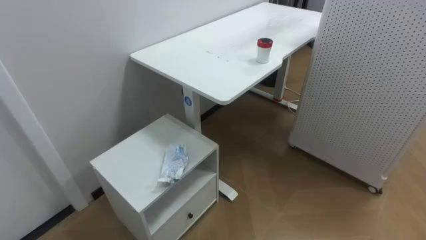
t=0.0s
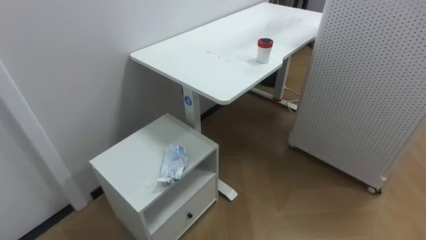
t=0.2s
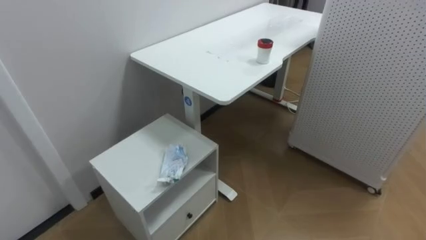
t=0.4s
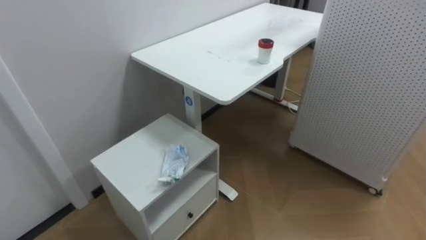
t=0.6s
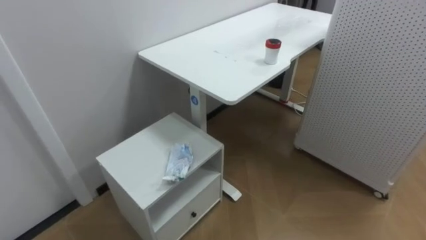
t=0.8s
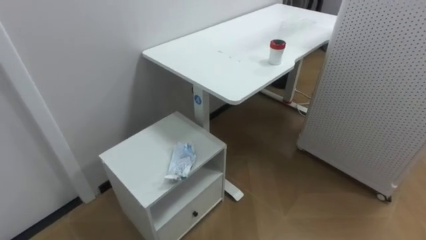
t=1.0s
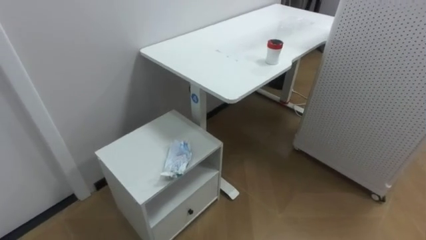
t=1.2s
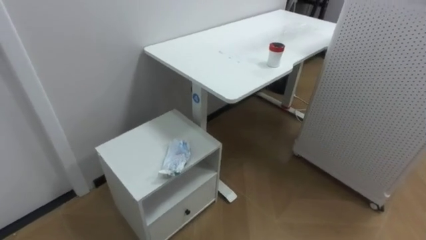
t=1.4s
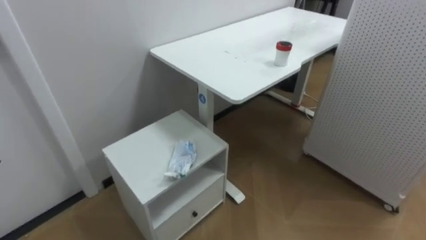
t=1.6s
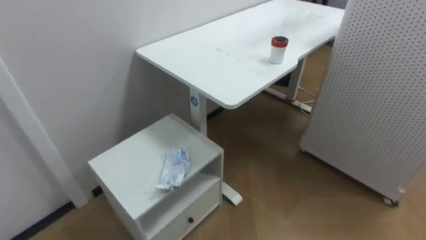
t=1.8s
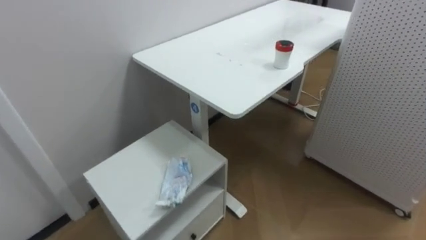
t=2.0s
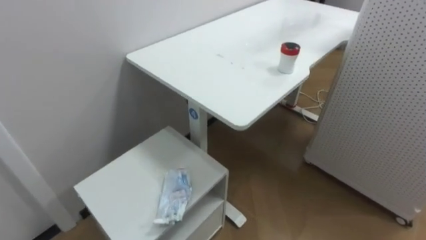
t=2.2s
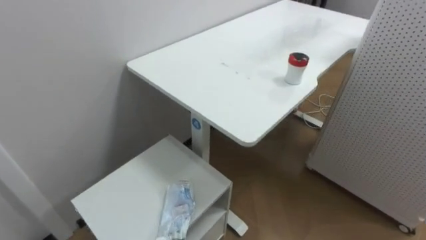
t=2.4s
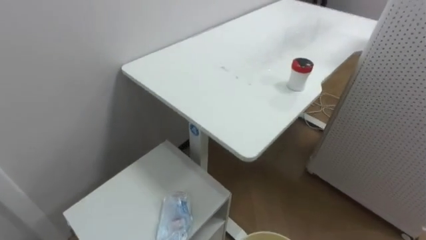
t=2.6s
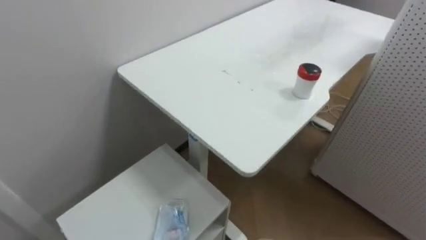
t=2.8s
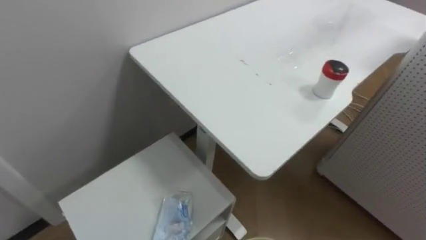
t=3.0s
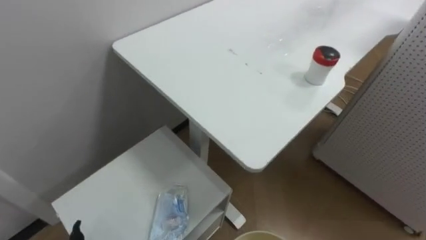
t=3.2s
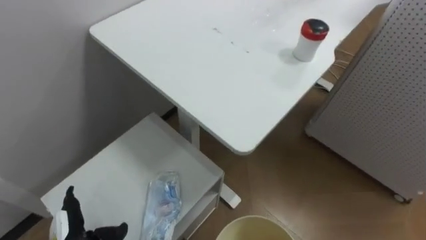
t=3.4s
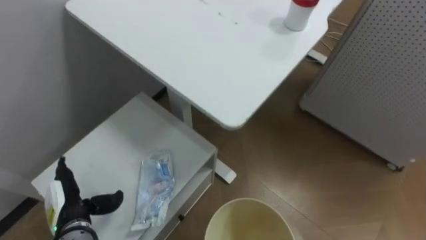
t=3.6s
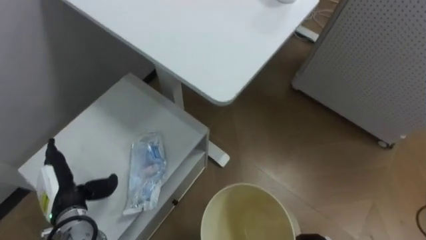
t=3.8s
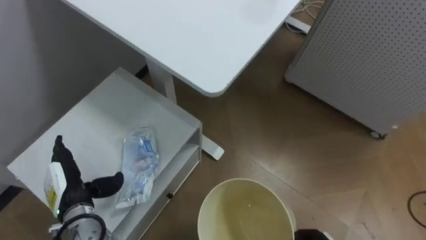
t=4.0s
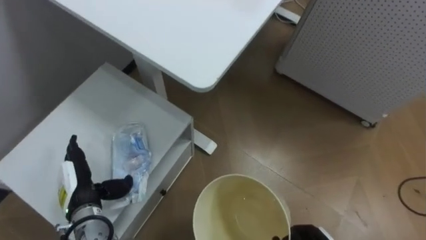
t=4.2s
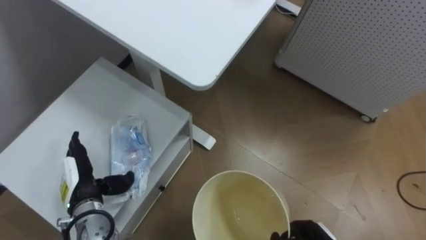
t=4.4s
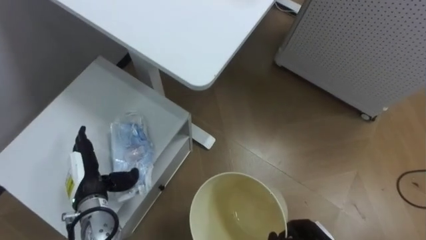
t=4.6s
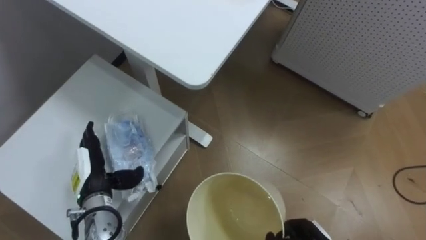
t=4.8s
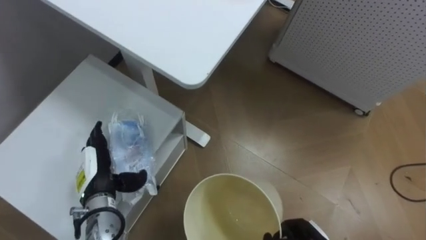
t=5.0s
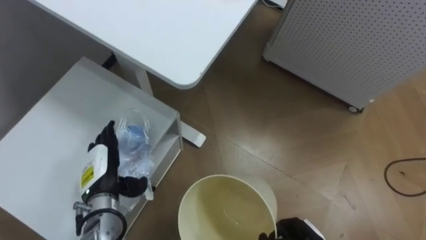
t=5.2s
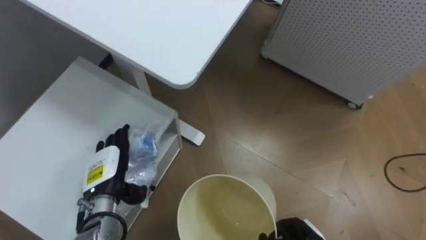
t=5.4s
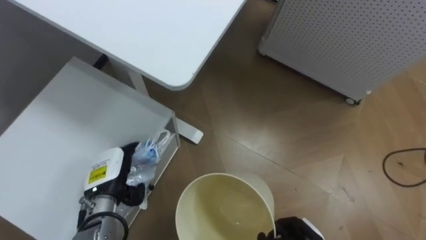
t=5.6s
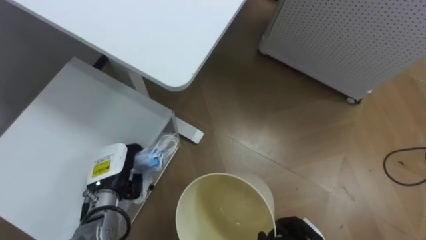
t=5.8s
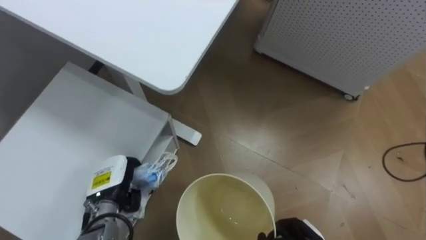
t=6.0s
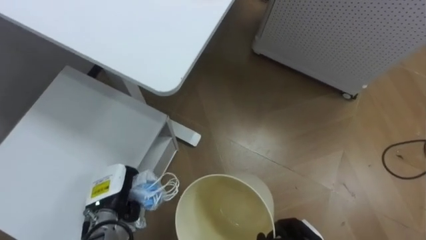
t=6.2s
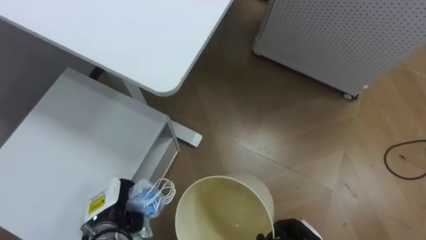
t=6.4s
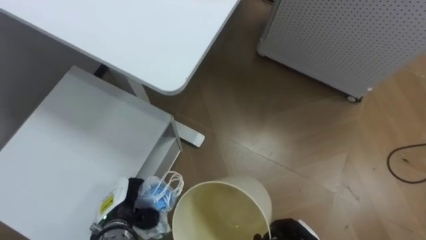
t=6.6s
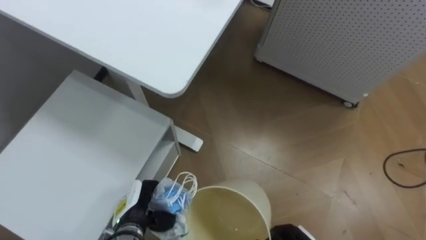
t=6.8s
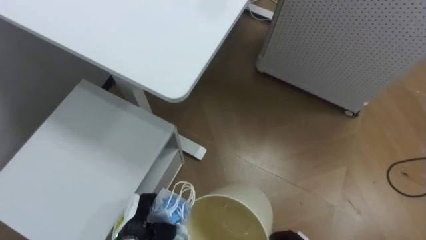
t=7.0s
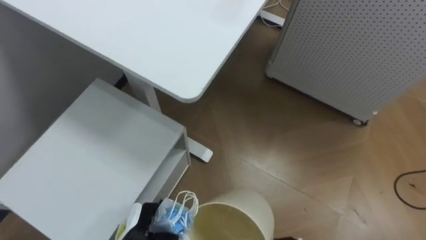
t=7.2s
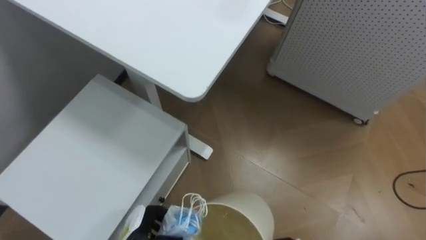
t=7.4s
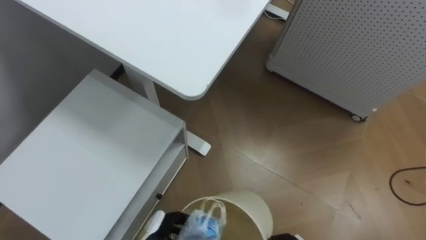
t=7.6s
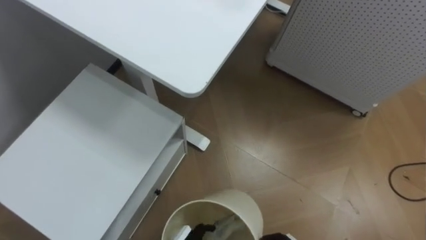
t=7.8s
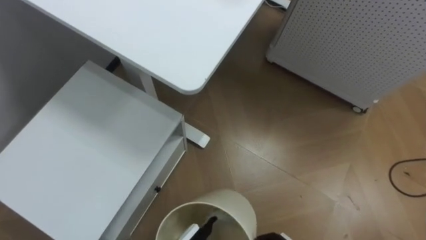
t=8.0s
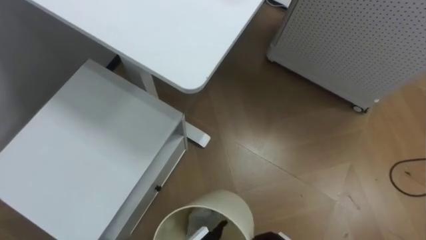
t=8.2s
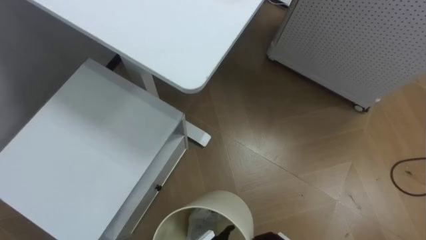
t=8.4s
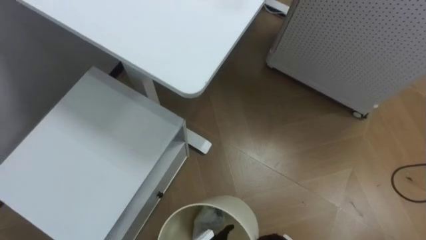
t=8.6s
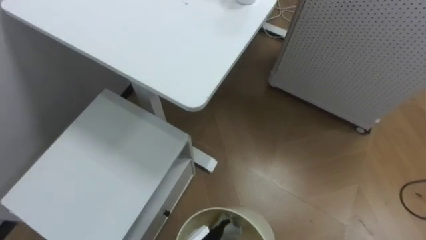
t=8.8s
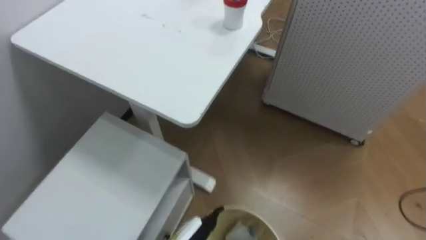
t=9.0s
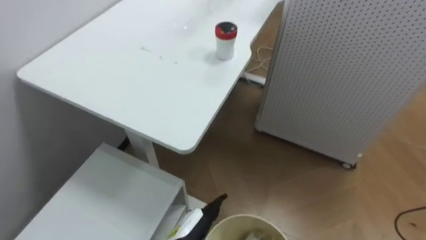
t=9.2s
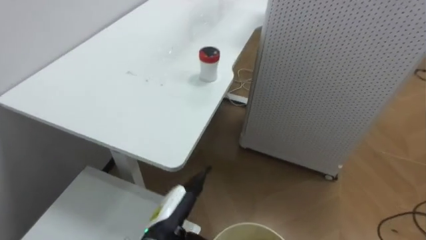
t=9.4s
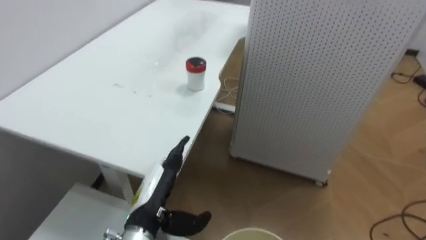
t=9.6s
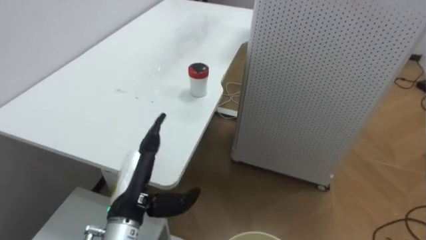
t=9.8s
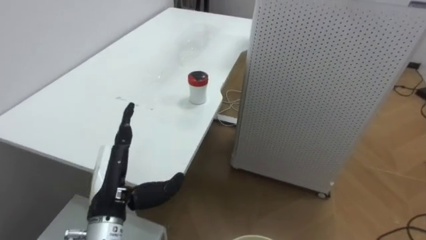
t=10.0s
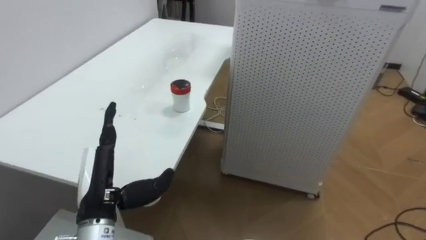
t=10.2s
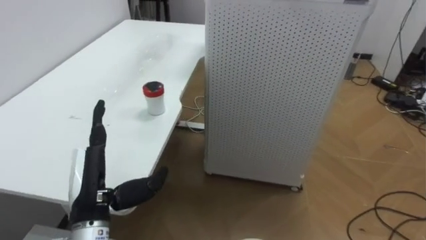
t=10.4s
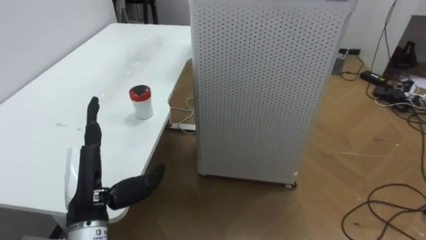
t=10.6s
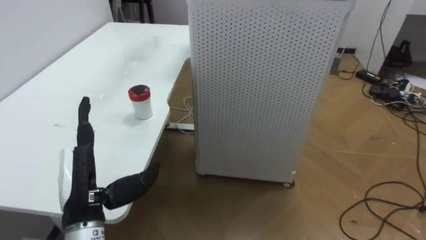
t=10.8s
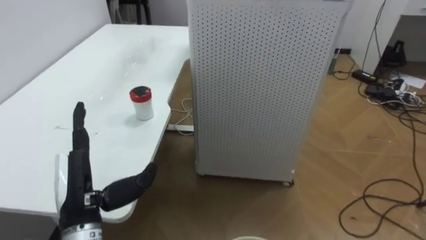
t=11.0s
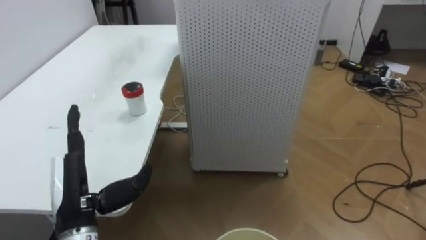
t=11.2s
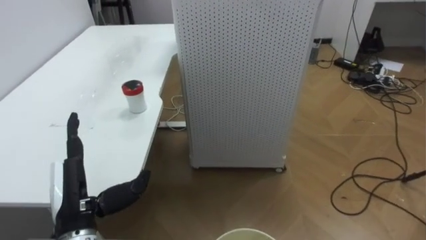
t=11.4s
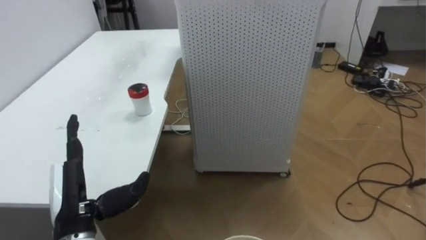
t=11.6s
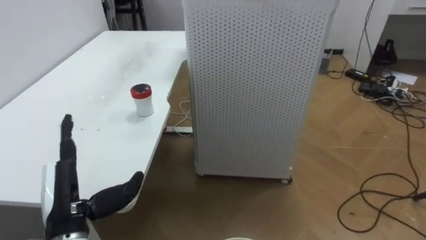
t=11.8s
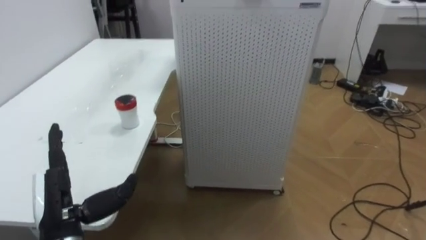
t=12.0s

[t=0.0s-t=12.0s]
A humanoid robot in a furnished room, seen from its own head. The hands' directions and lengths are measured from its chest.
Task of the whole recording: Pick up the light blue package, the candy box, and the dark blue package separately, and put them into the trash can held in your right hand.
t=4.4s to t=6.0s: The left hand shifts by approximately 5 cm, and closes up.
t=6.0s to t=7.6s: The left hand shifts about 15 cm downward, to the right and backward.
t=9.0s to t=10.4s: The robot turns to its right by some 20 degrees. The left hand is displaced upward and to the left by roughly 25 cm.
t=10.4s to t=12.0s: The left hand moves approximately 5 cm.

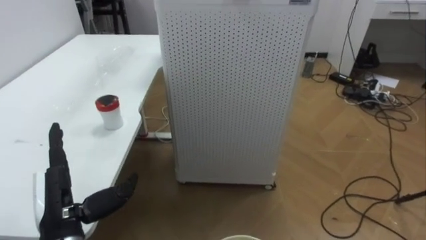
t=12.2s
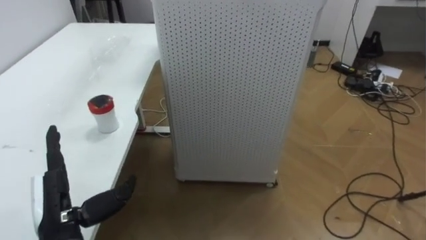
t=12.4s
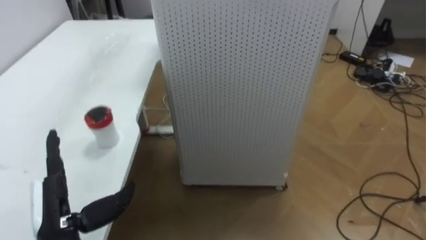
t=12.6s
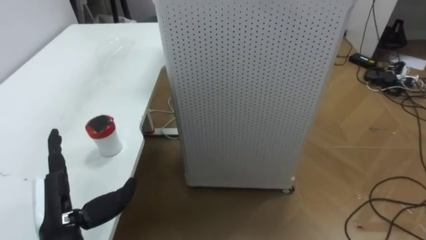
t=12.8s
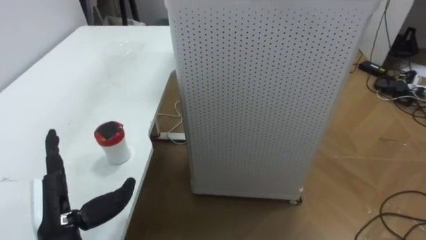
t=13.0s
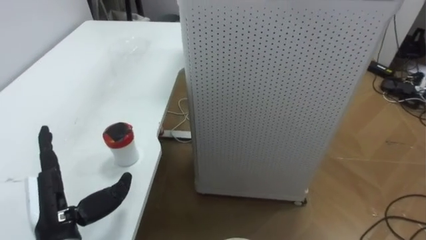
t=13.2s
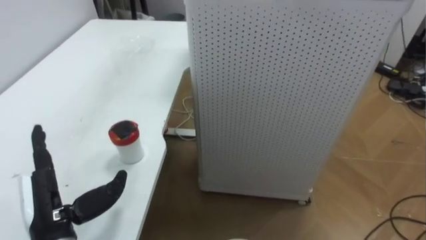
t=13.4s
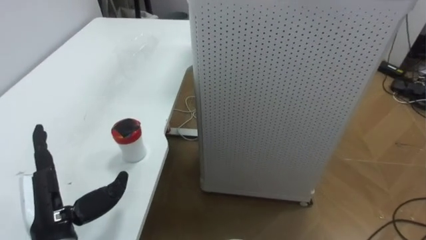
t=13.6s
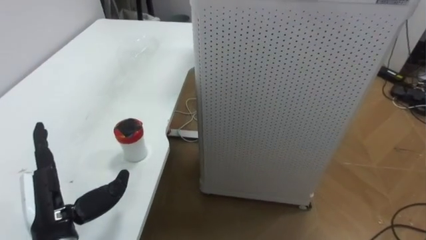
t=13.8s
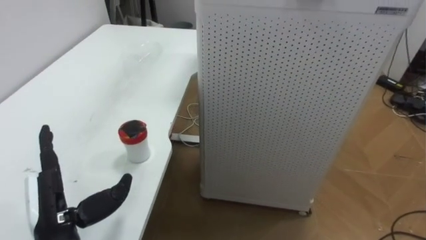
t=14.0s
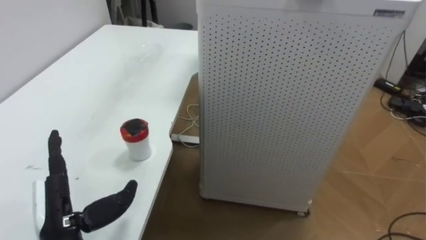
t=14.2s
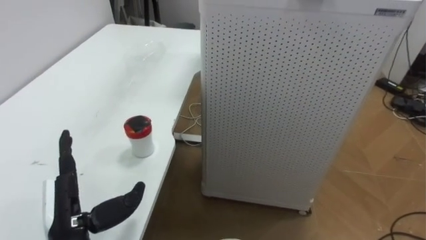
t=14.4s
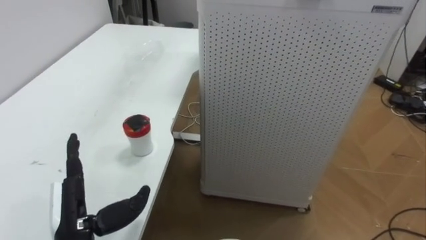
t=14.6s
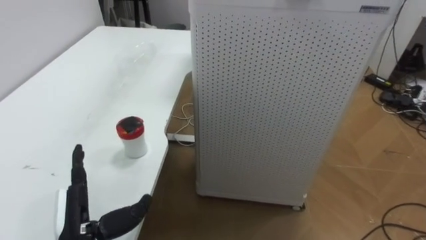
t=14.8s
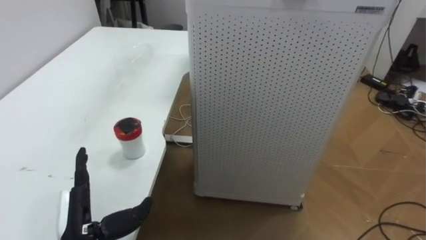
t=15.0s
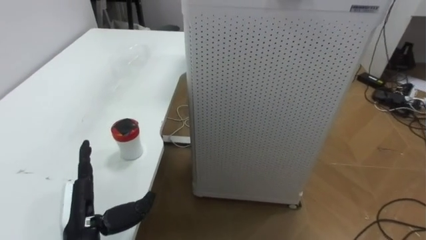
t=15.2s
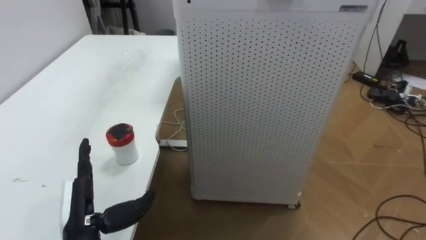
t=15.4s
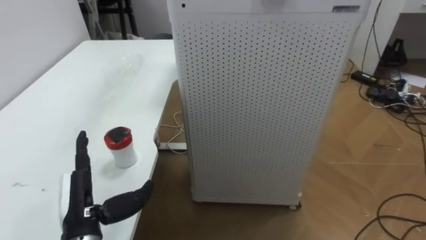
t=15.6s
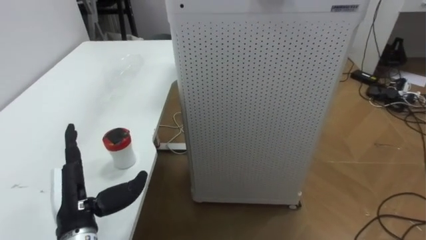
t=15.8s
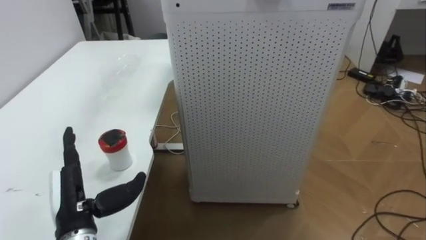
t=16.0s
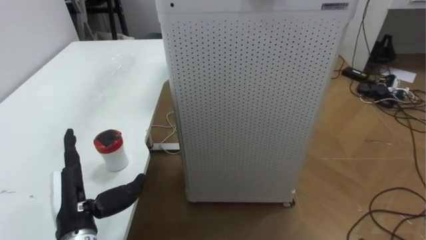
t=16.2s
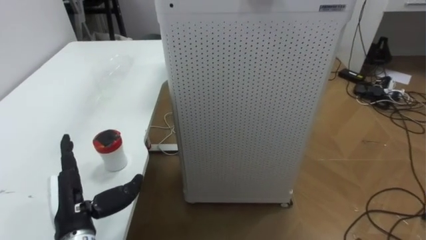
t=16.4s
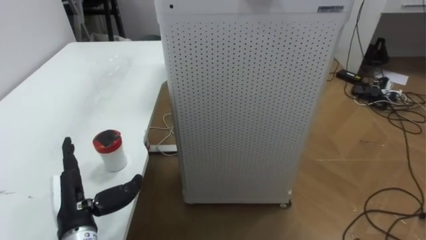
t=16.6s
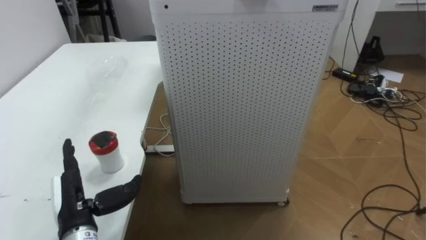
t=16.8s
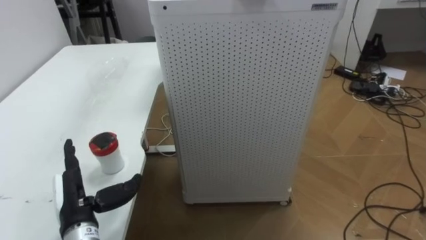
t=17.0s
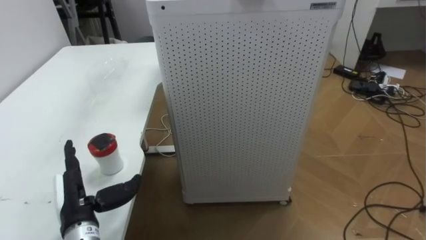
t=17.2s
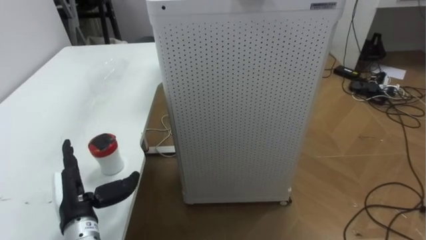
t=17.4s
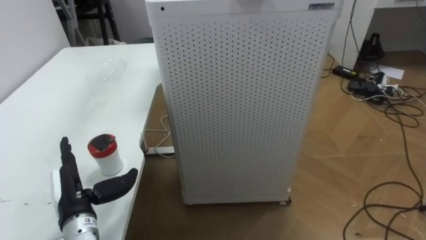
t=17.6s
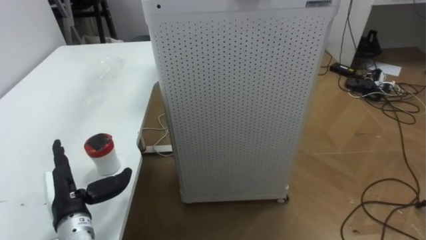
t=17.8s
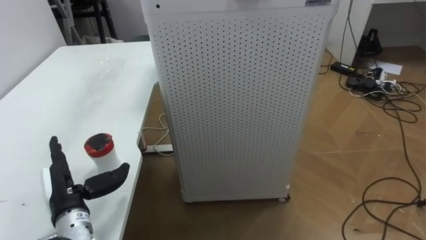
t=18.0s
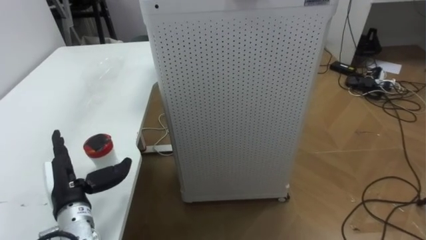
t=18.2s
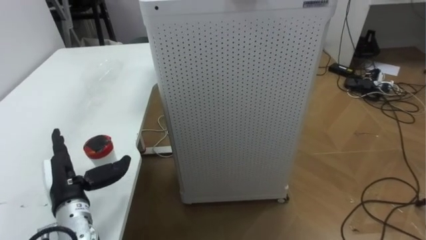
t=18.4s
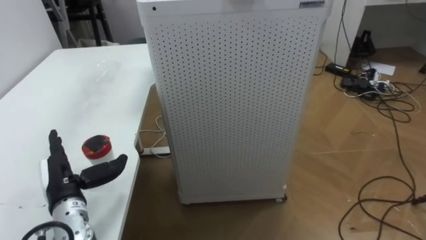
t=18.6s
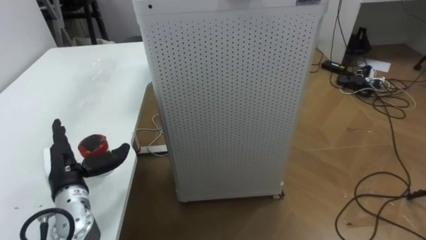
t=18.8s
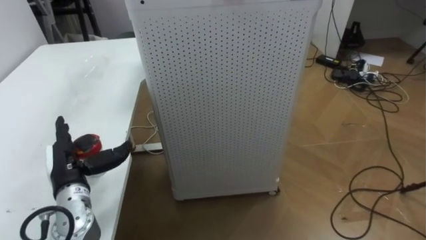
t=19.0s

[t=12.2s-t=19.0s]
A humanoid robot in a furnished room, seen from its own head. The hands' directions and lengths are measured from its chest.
Task of the whole recording: Pick up the light blue package, the candy box, and the dark blue package separately, and put them into the trash can held in your right hand.
t=13.6s to t=15.0s: The left hand changes place by roughly 5 cm.
t=17.6s to t=19.0s: The left hand moves some 5 cm.
